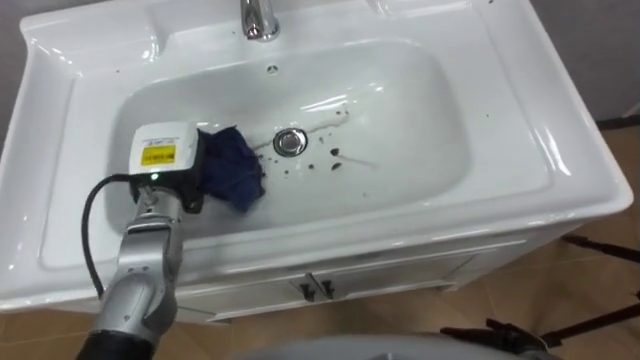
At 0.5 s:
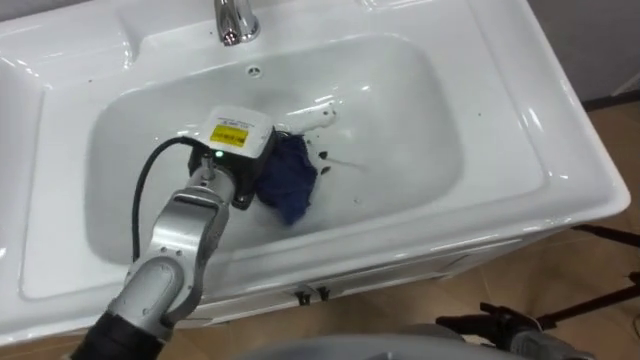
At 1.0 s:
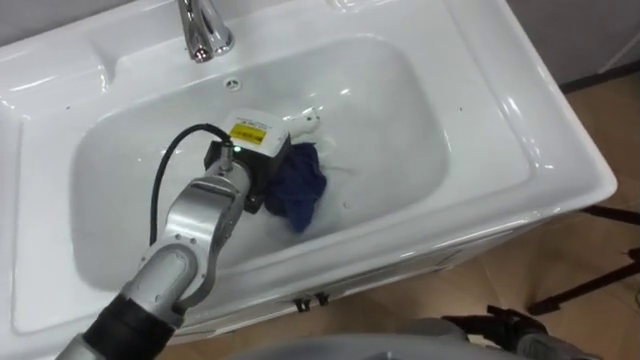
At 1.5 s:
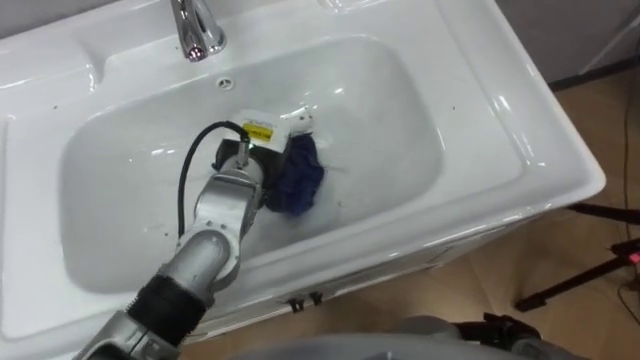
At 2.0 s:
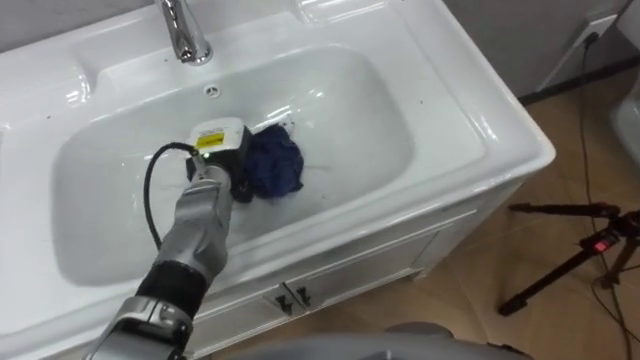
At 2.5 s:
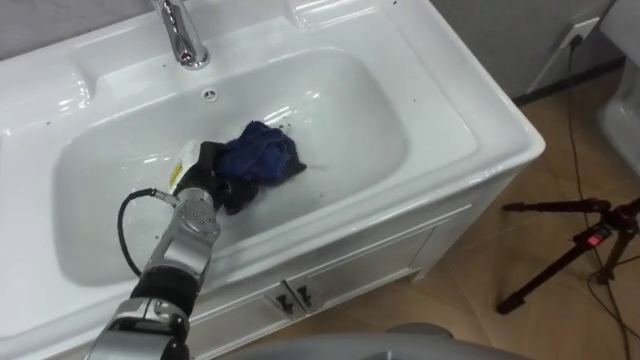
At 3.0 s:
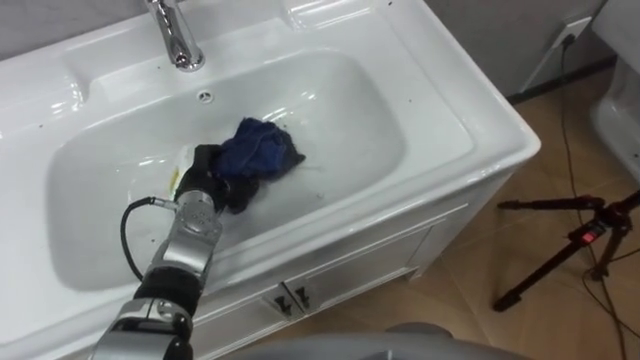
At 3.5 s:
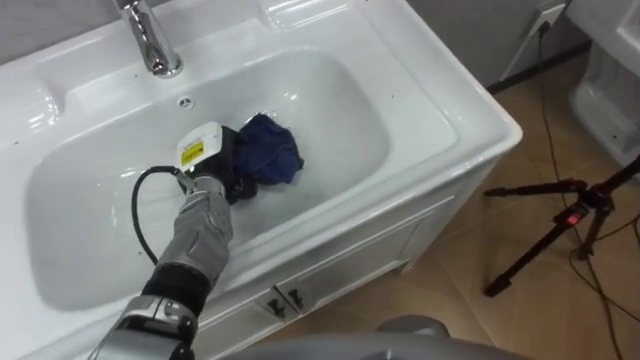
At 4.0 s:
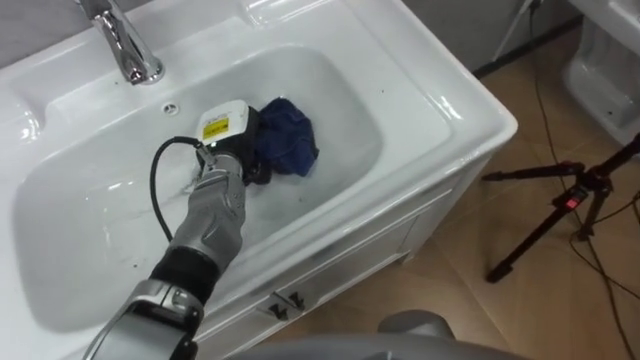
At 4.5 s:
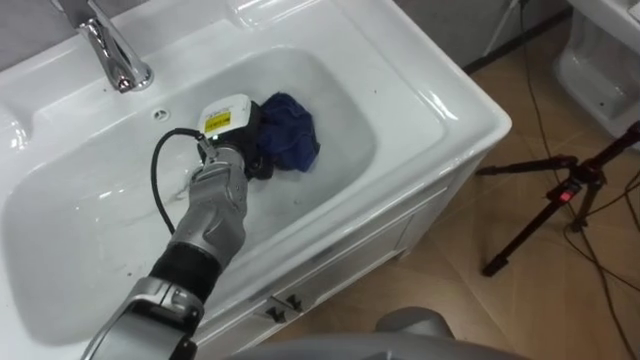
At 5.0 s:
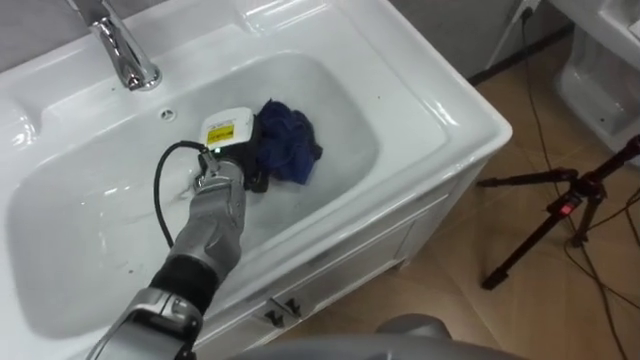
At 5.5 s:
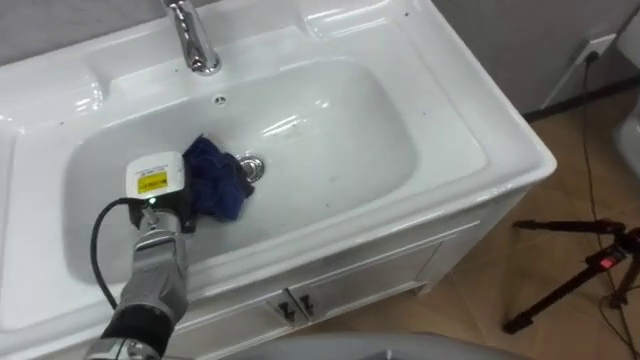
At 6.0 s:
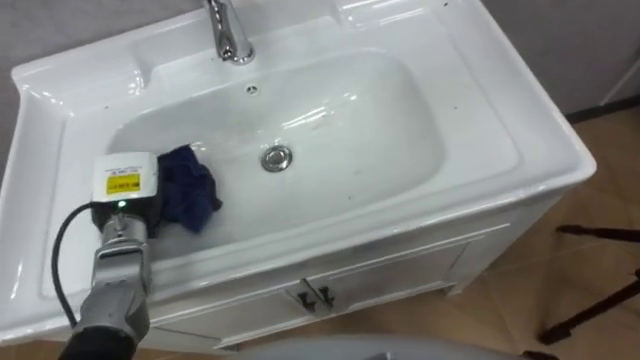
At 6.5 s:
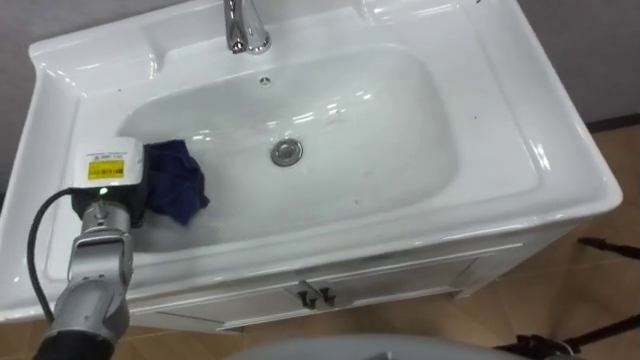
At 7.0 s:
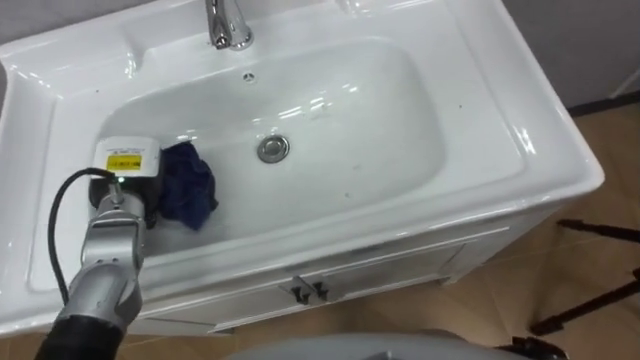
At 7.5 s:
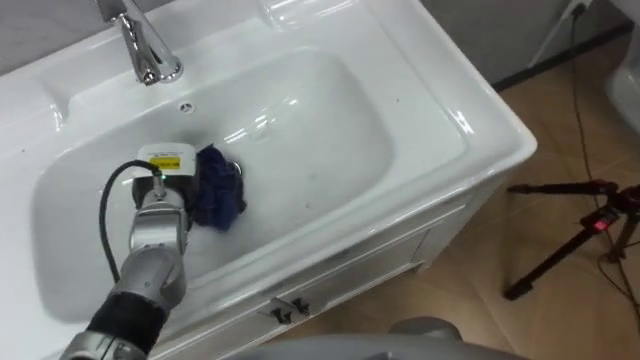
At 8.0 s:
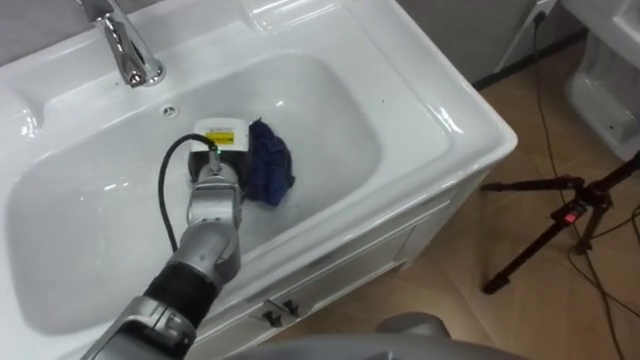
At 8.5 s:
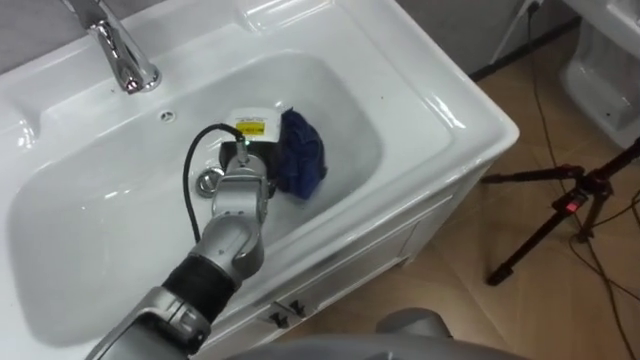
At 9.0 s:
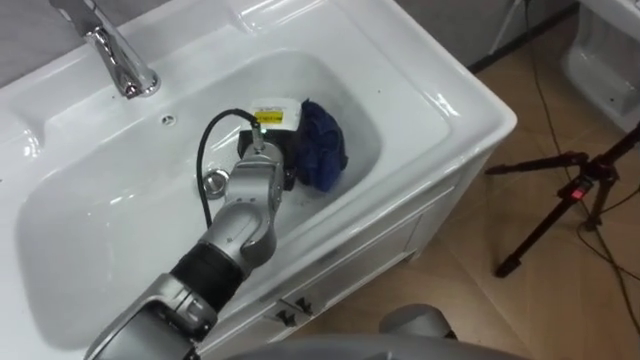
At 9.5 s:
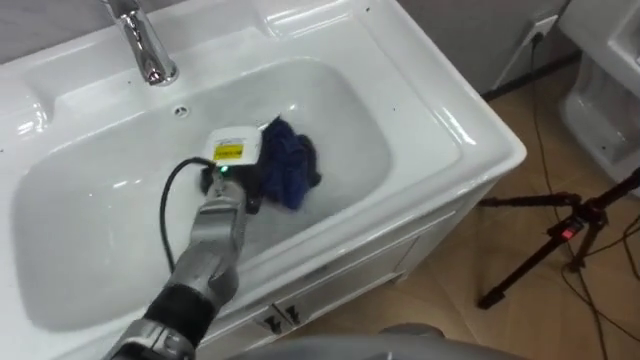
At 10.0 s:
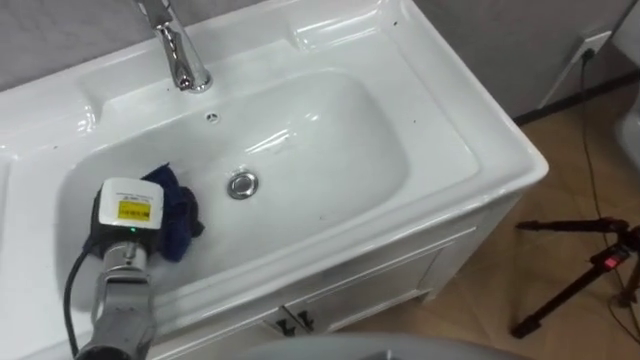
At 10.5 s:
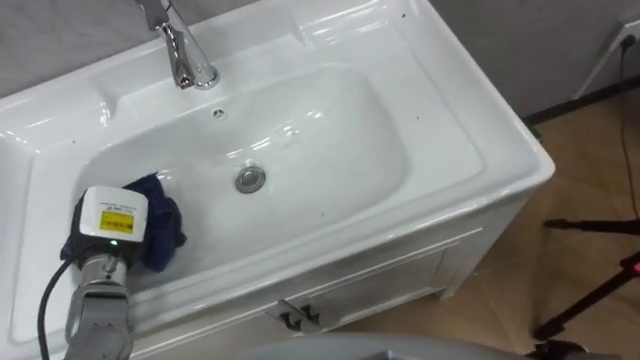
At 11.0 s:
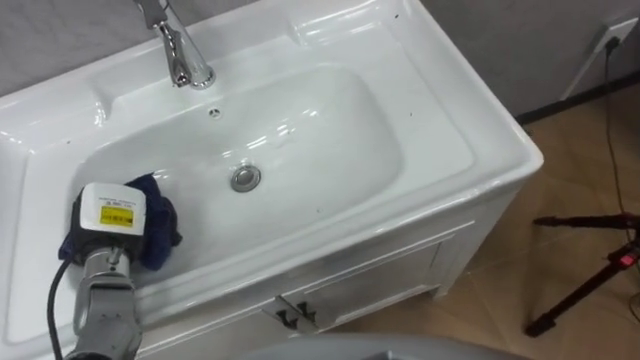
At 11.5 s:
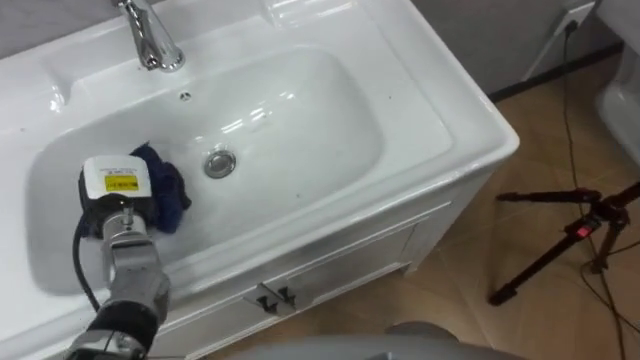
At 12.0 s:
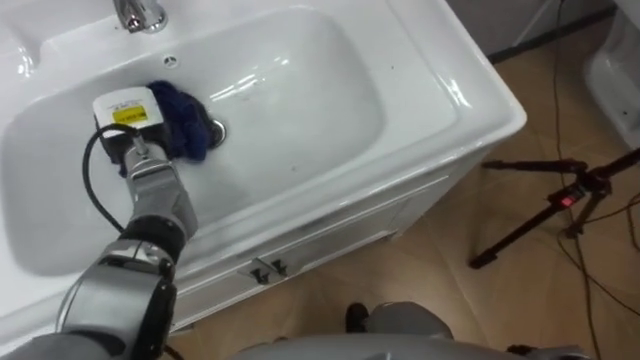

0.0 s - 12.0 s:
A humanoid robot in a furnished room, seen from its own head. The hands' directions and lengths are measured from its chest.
Task of the whole recording: Use the cloth on the right to wipe away the black stain in the sink.
0.0 s - 2.0 s: The left hand travels to the right by roughly 5 cm.
4.0 s - 6.0 s: The left hand heads to the left and backward, covering roughly 15 cm.
6.0 s - 8.0 s: The left hand shifts some 15 cm to the right and forward.
8.0 s - 10.0 s: The left hand goes roughly 15 cm to the left and backward.
10.0 s - 12.0 s: The left hand travels forward and upward by about 15 cm.

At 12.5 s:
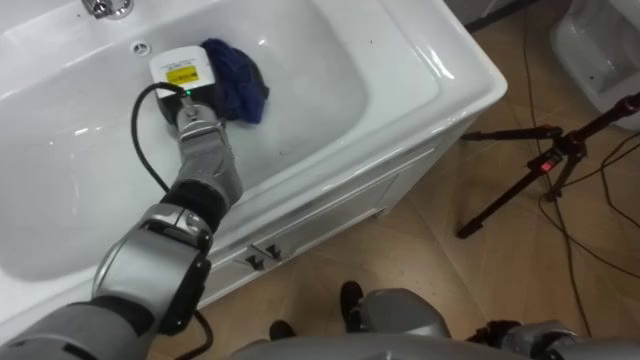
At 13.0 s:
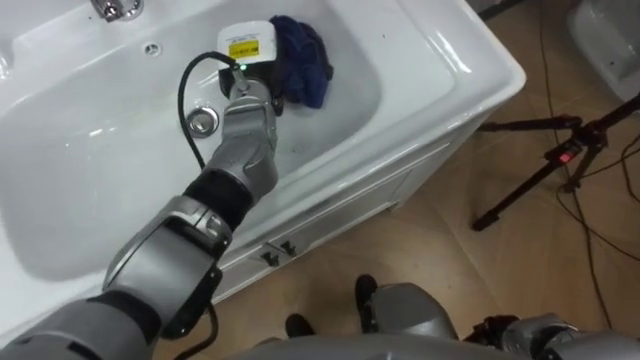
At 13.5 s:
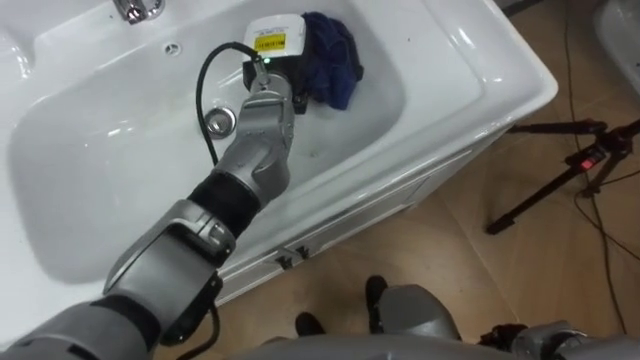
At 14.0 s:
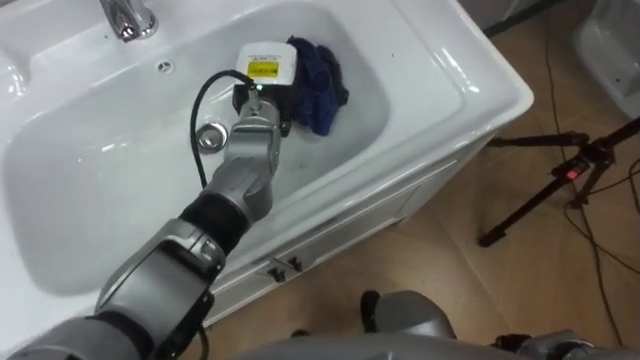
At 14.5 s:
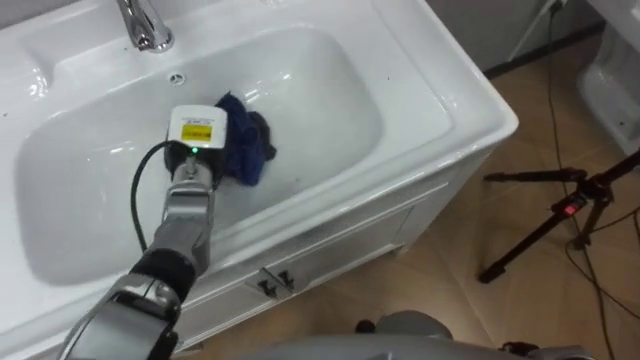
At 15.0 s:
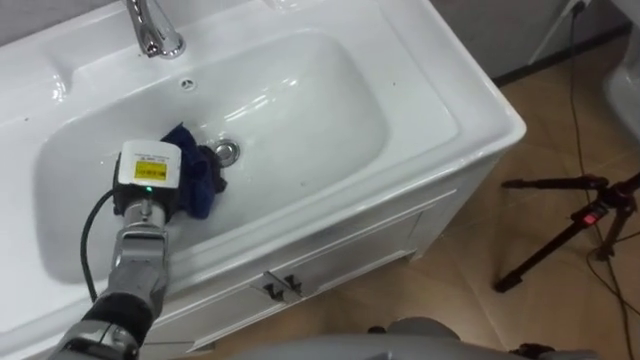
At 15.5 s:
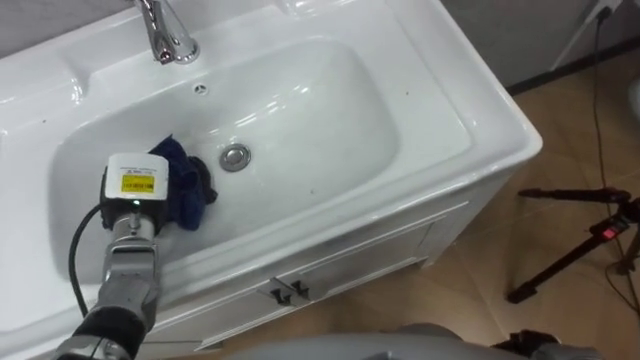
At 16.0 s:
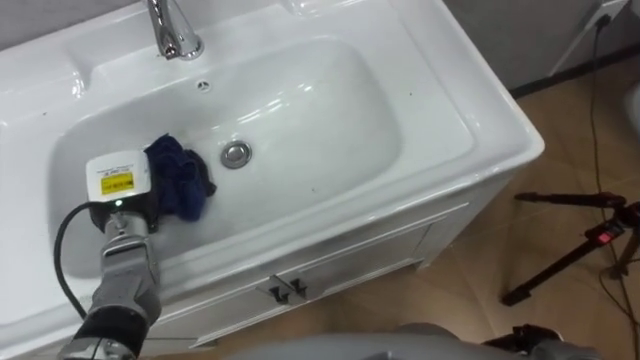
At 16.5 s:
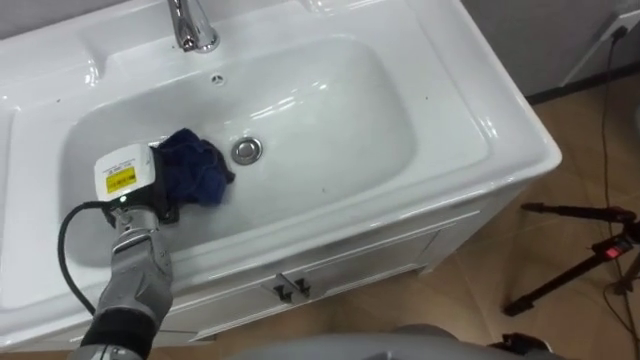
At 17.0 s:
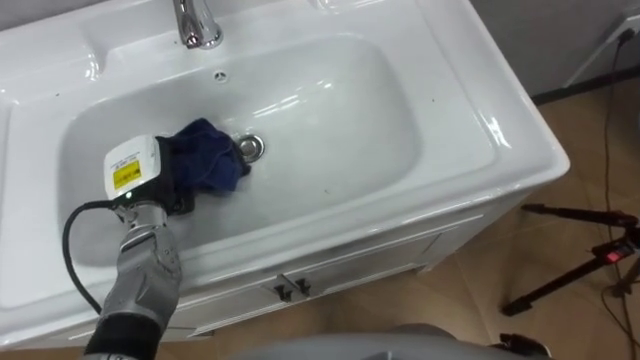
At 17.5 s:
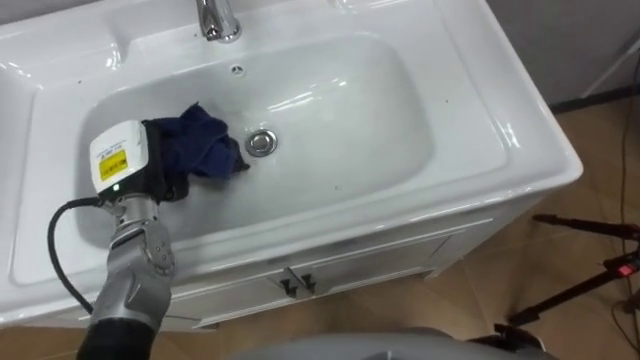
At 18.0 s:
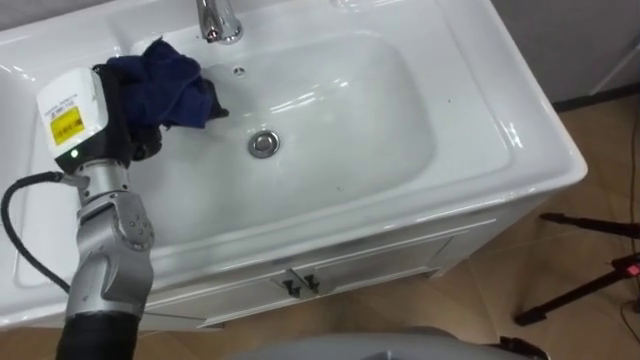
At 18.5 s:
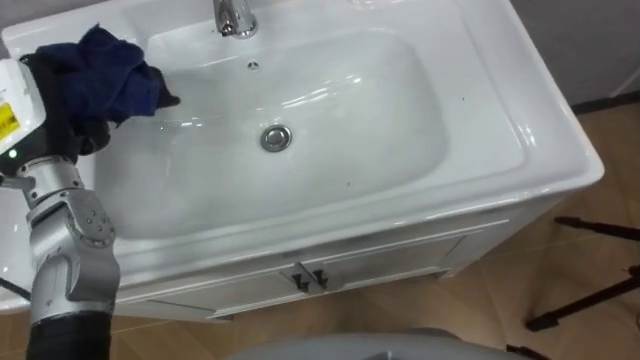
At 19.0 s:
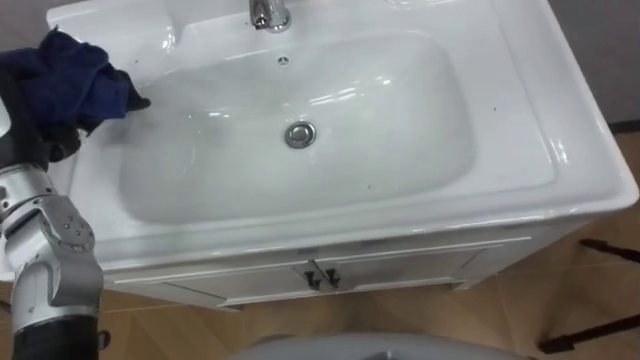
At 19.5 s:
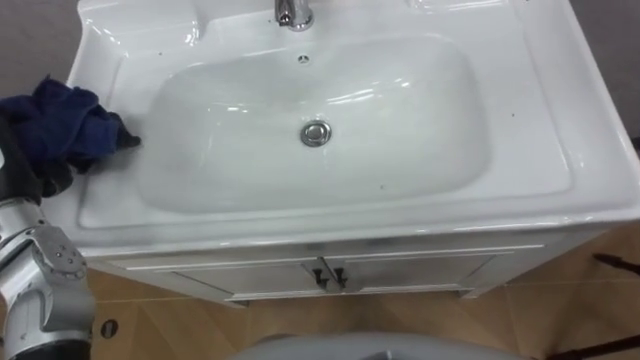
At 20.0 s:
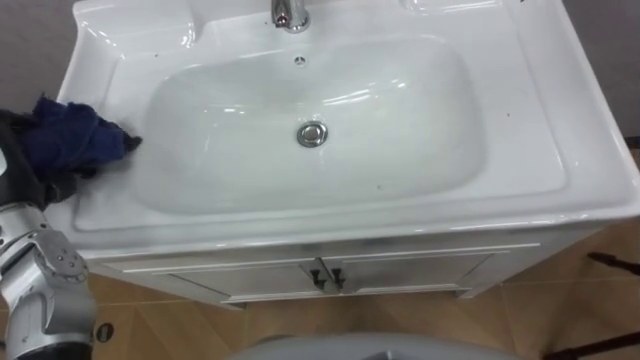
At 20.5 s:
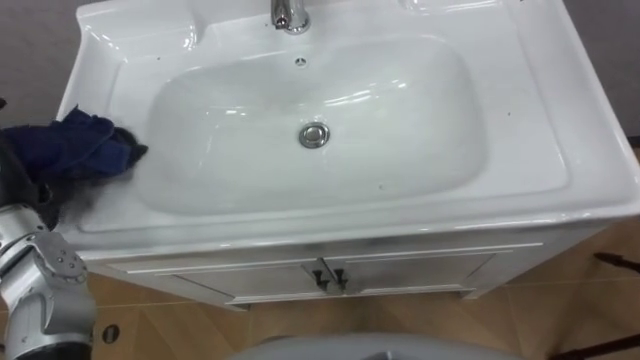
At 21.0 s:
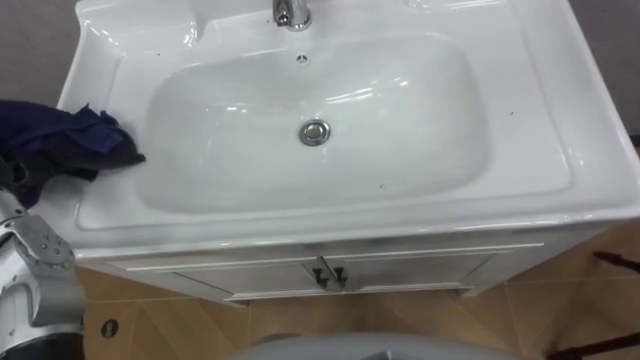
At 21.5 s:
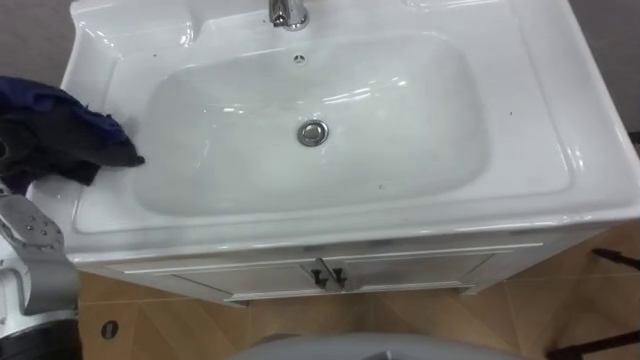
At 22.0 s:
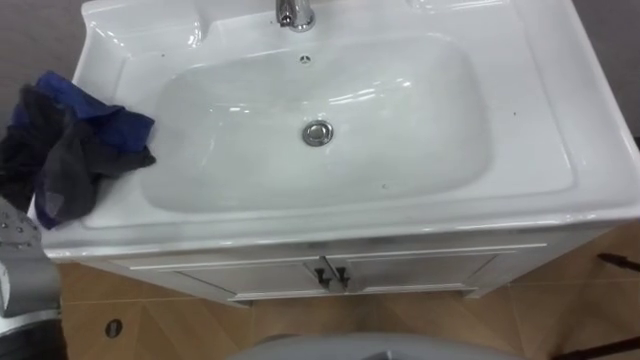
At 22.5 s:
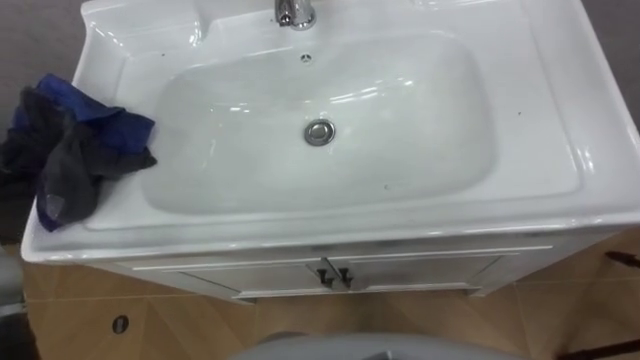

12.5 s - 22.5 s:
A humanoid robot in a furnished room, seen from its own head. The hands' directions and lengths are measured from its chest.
Task of the whole recording: Use the cloth on the right to wipe away the black stain in the sink.
12.5 s - 14.5 s: The left hand heads backward and downward, covering about 10 cm, and goes to the right and returns, about 10 cm each way.
14.5 s - 16.5 s: The left hand heads to the left and backward, covering about 10 cm.
16.5 s - 18.5 s: The left hand travels upward by approximately 15 cm.
